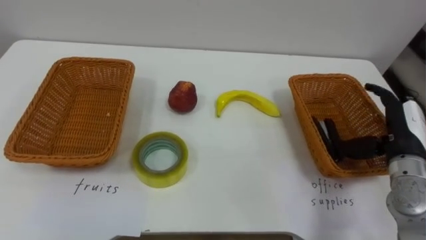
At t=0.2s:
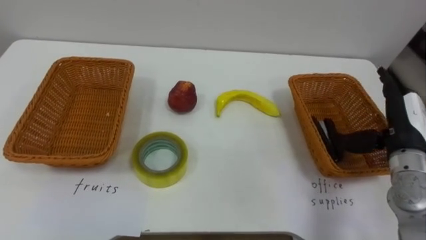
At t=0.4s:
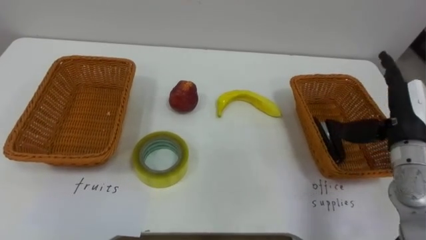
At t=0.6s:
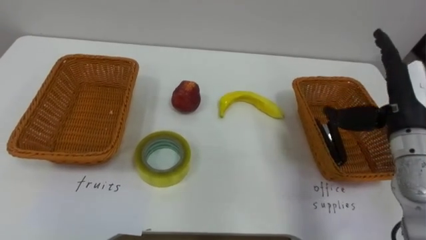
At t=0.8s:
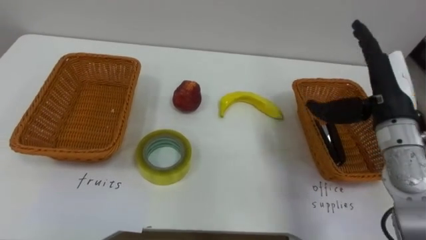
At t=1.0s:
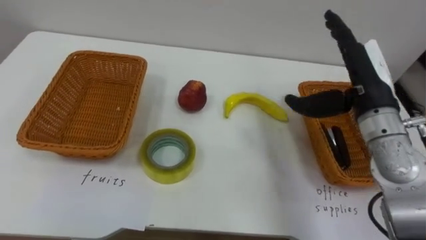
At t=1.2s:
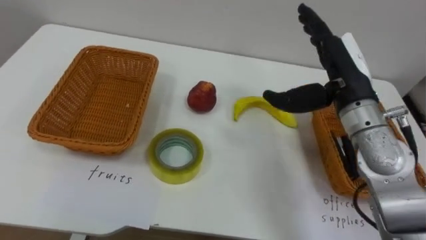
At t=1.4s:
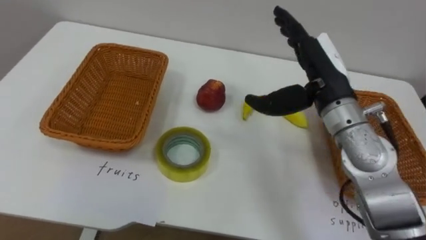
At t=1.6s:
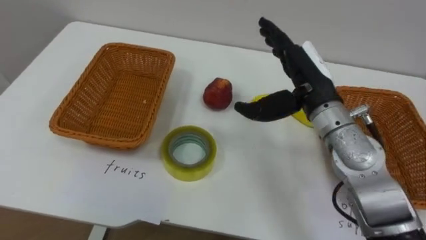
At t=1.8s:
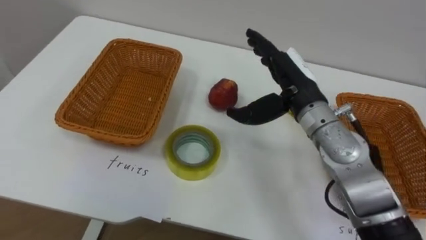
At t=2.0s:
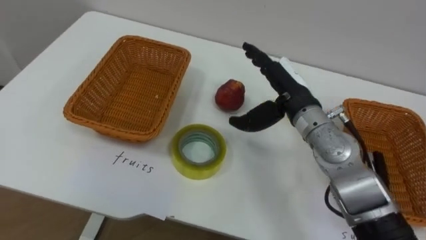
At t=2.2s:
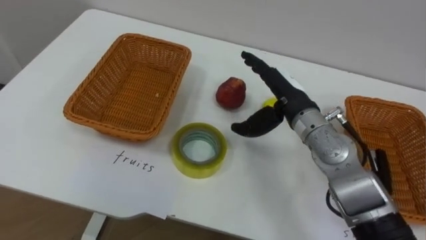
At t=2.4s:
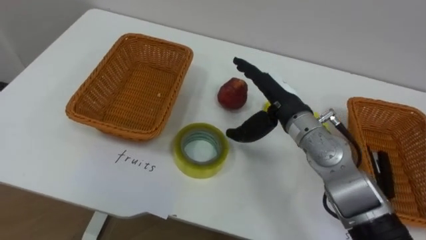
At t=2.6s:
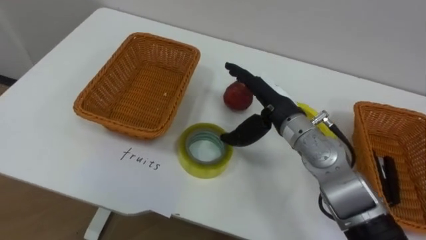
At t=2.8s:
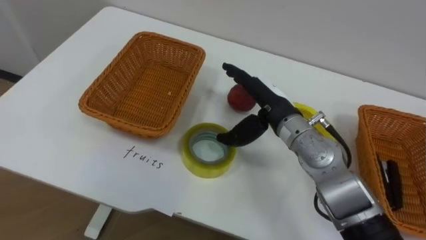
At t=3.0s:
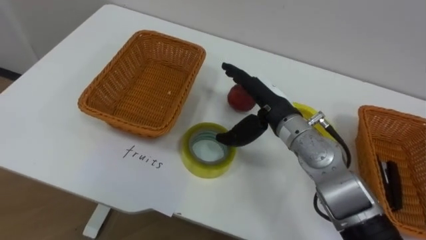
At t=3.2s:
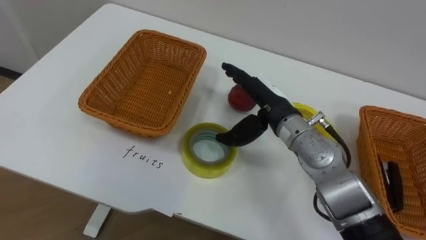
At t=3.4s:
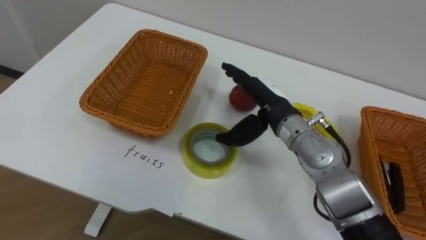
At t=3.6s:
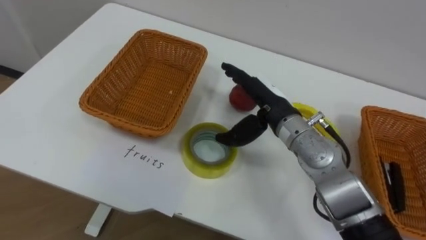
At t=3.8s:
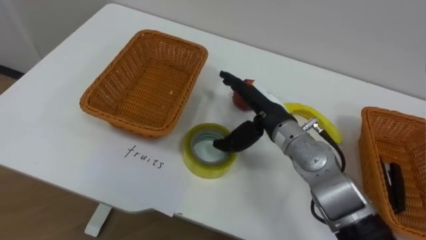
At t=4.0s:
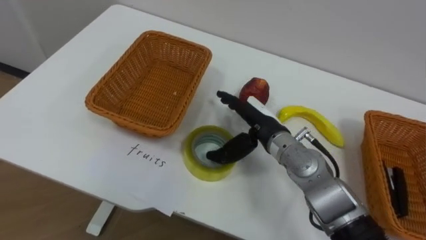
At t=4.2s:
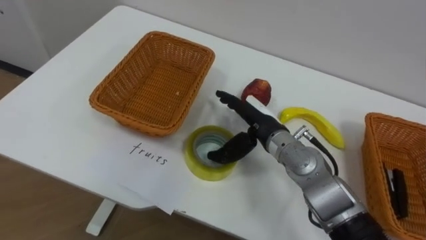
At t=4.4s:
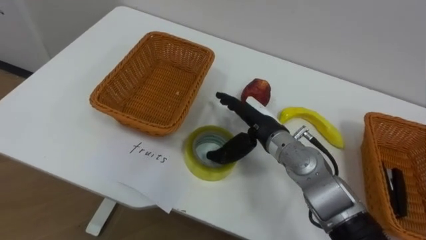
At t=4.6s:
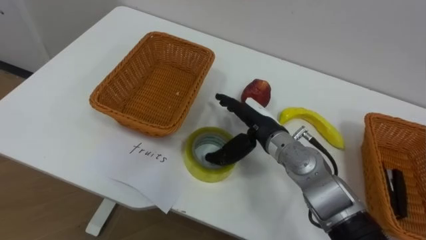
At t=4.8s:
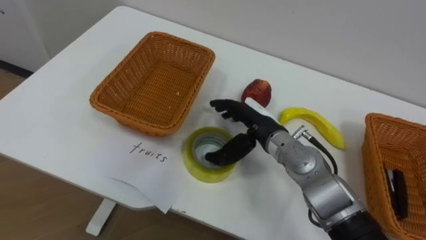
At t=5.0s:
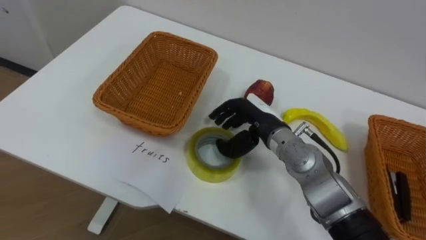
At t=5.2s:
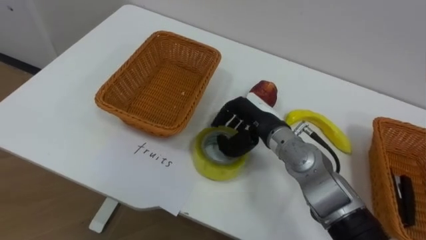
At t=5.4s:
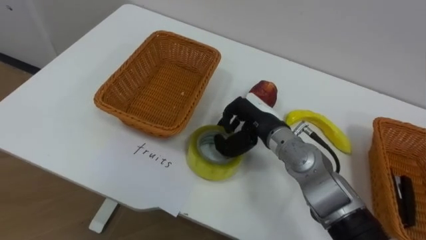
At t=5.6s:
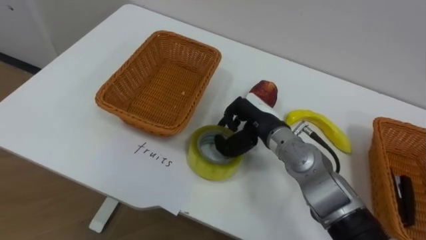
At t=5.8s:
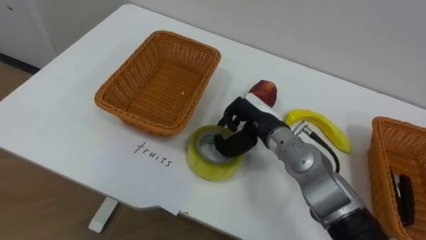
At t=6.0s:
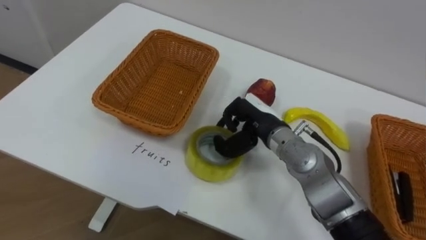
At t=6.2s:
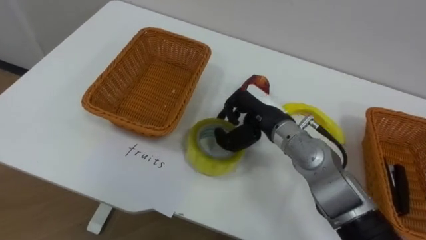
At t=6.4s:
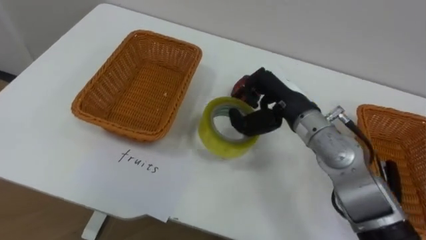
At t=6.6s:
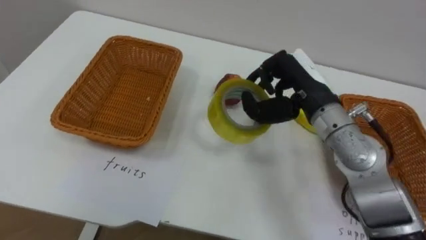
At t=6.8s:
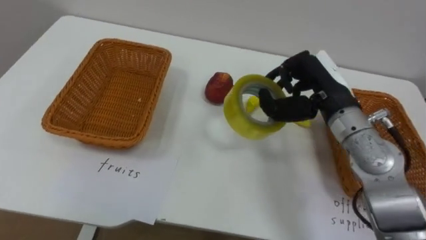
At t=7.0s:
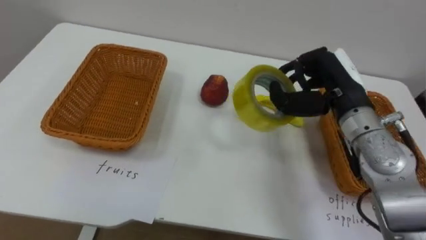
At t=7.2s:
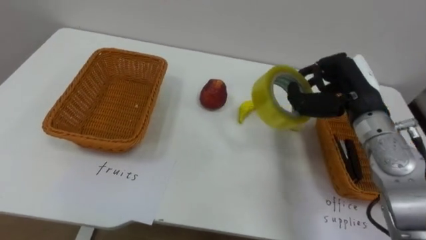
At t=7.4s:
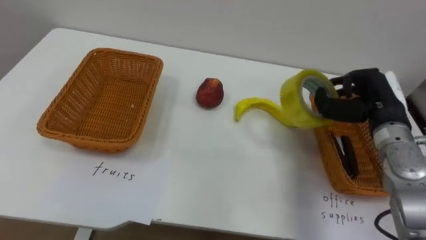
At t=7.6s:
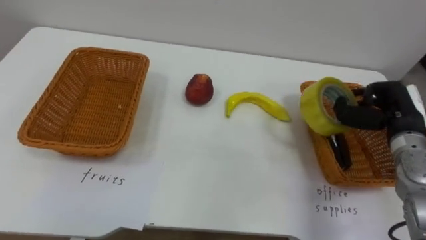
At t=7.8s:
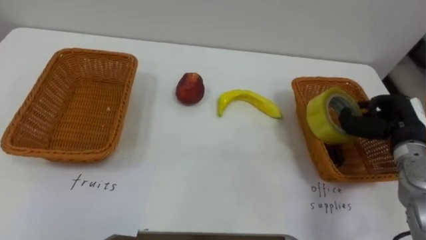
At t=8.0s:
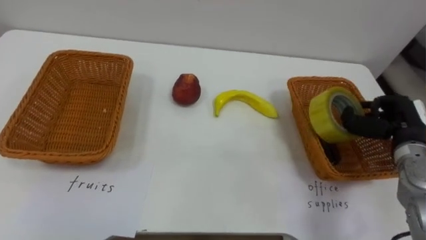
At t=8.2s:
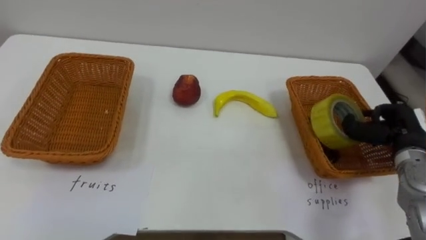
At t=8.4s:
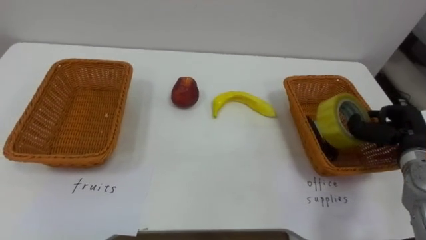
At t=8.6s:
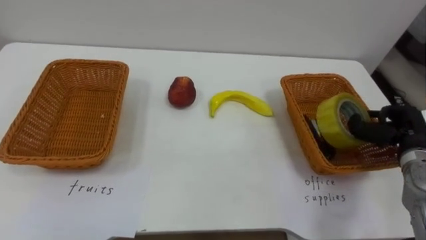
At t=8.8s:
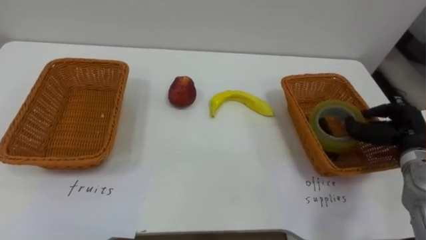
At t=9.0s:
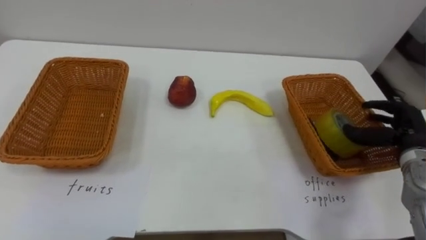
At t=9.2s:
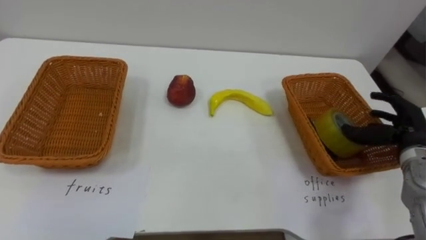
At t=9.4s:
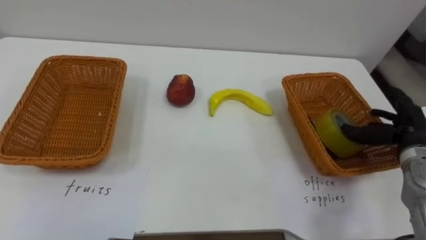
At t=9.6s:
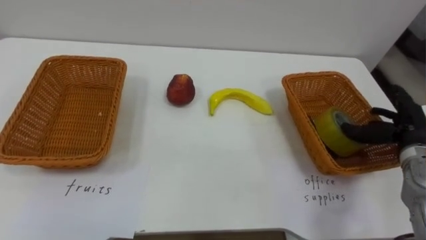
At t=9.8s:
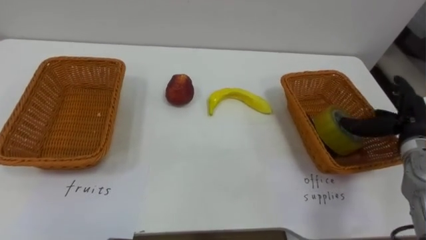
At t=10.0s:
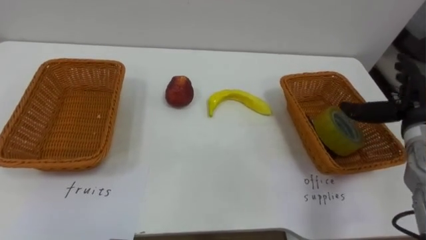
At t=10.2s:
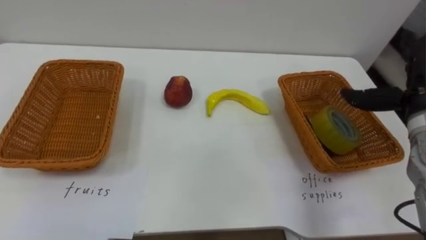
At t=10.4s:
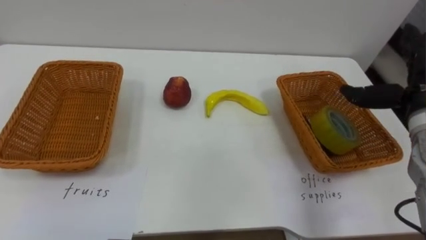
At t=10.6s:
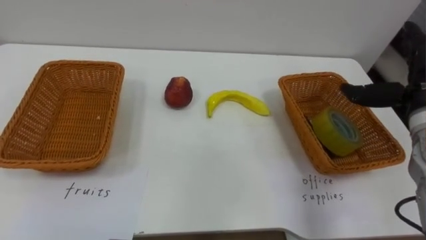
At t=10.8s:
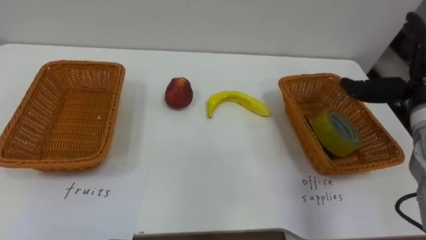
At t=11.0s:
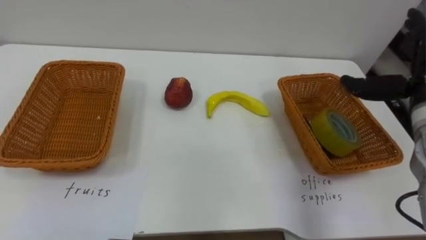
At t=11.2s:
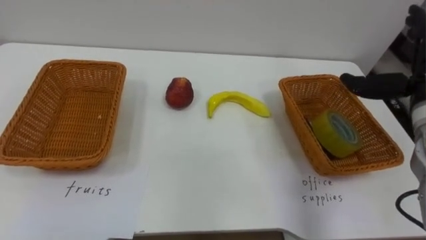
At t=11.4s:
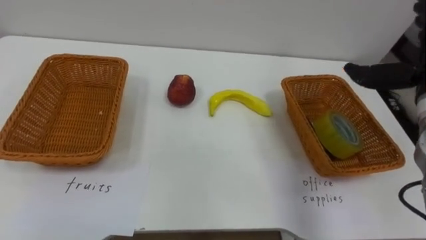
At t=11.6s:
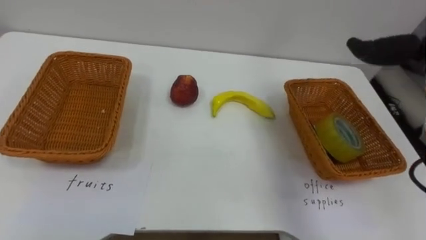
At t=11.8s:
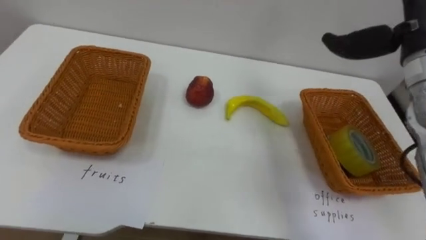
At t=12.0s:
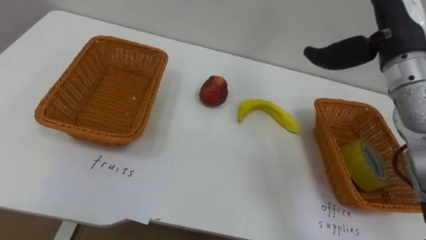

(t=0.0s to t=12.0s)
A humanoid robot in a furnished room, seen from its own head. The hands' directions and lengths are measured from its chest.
Task of the whole recording: Separate the items on the table and place them into the two baskets.
t=0.0s - t=1.6s: The right hand shifts approximately 20 cm to the left and upward.
t=1.6s - t=3.0s: The right hand moves downward and to the left, approximately 10 cm.
t=3.0s - t=4.4s: The right hand travels downward by some 5 cm.
t=4.4s - t=6.0s: The right hand closes.
t=6.0s - t=7.6s: The right hand moves to the right, approximately 25 cm.
t=7.6s - t=9.0s: The right hand moves roughly 5 cm, and opens.
t=9.0s - t=10.4s: The right hand moves upward, roughly 10 cm, and opens up.

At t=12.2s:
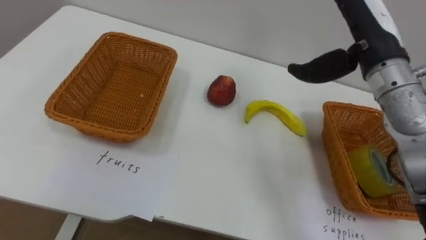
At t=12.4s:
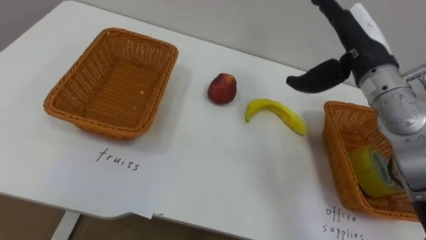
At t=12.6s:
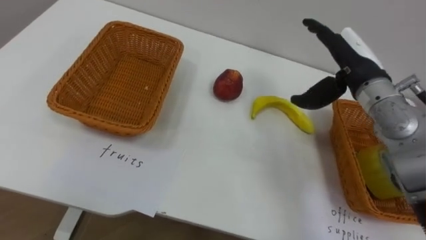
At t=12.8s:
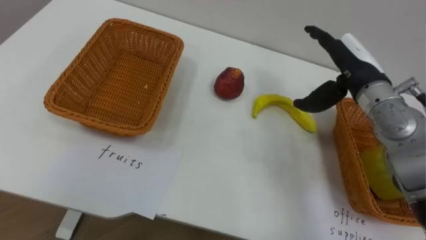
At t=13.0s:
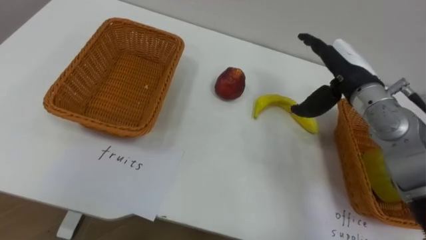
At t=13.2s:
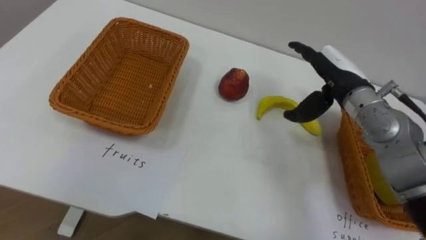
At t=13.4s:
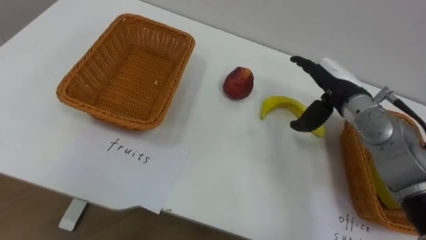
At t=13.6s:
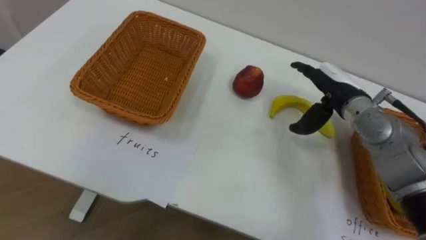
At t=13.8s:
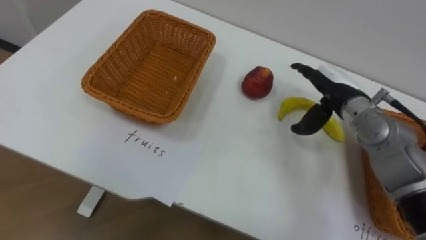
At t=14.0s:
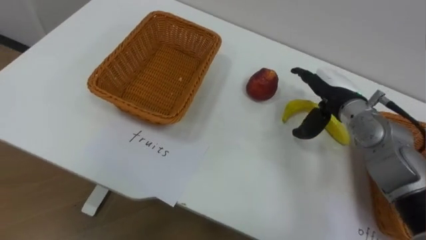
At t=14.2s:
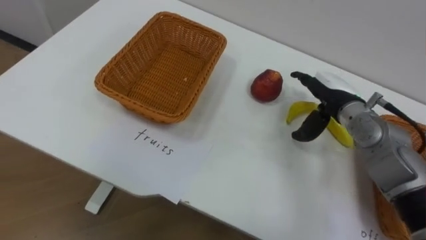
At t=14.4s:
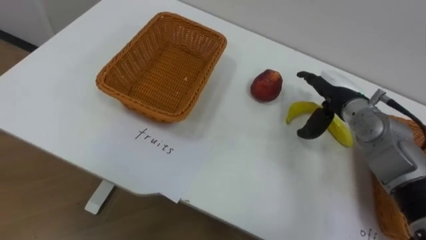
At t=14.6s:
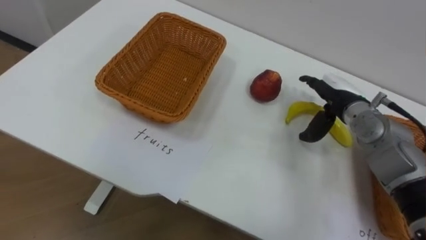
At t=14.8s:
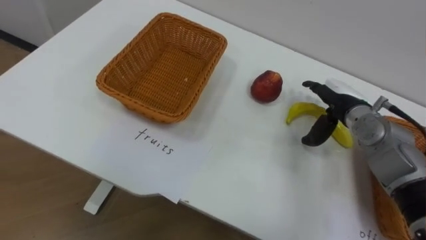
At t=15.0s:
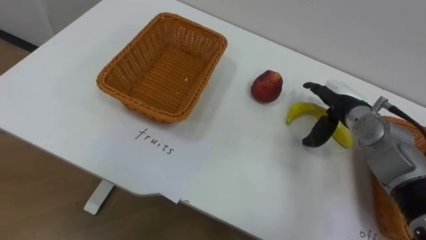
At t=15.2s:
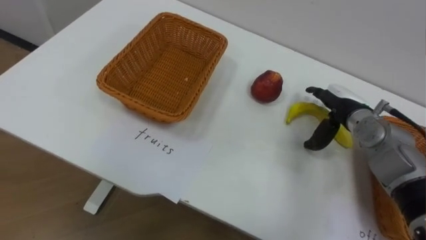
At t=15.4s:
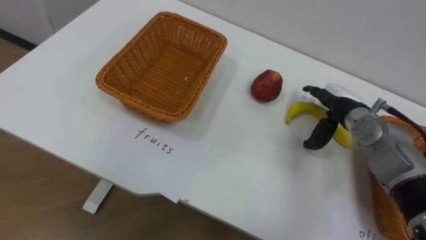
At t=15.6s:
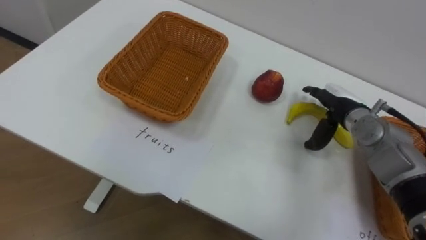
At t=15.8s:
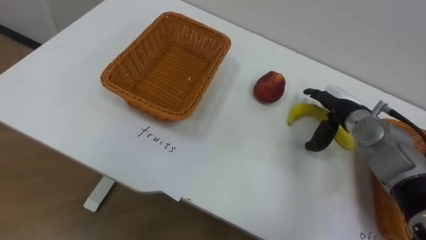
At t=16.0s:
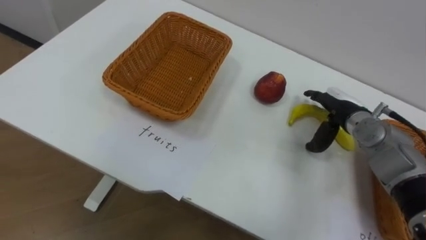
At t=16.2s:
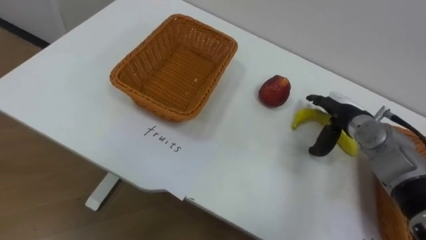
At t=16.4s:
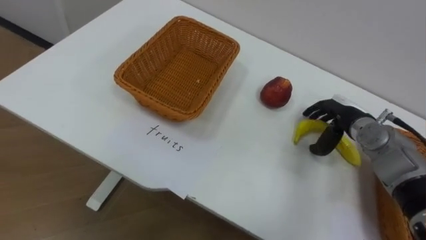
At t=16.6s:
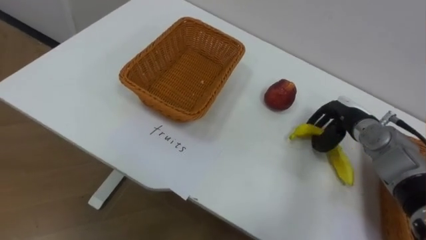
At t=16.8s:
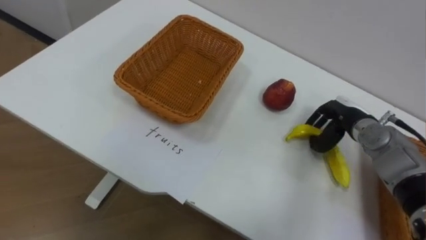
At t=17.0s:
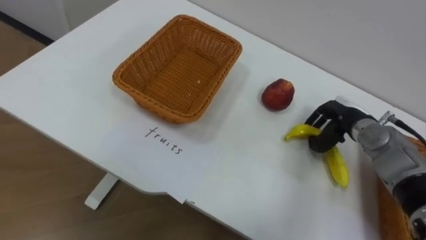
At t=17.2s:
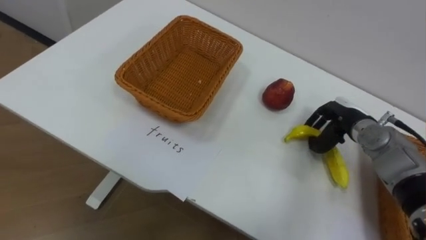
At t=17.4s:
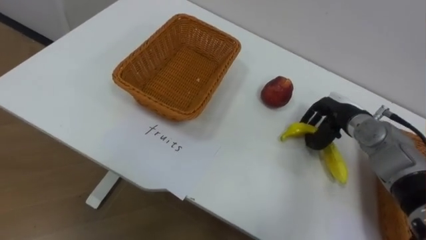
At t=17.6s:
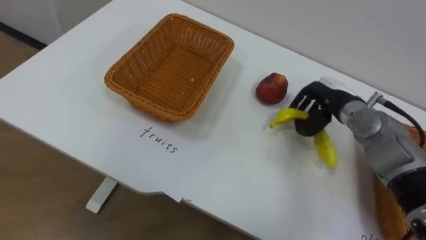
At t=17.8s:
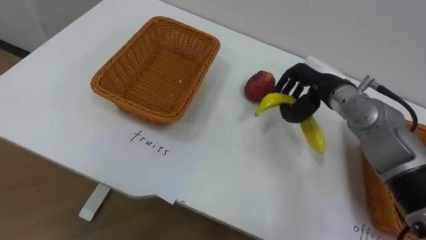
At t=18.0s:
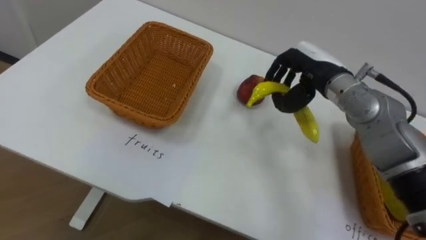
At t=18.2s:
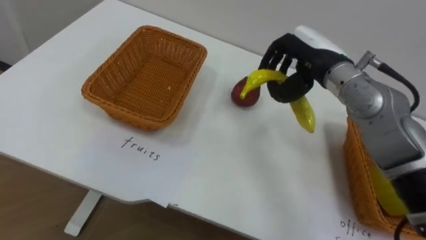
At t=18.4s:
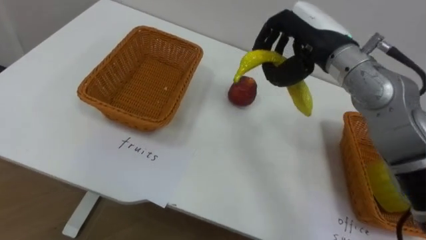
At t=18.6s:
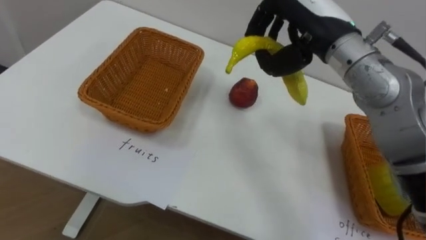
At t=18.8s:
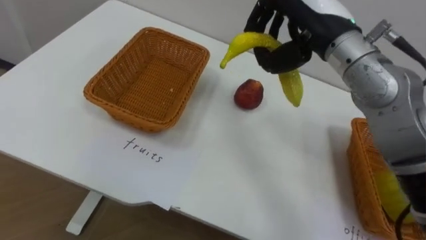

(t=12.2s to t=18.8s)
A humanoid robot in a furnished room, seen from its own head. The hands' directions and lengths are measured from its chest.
Task of the whole recording: Separate the items on the table and place them into the two baskets.
t=12.2s - t=13.8s: The right hand shifts about 15 cm downward.
t=13.8s - t=15.4s: The right hand changes place by roughly 5 cm.
t=15.4s - t=17.2s: The right hand closes up.
t=17.2s - t=18.8s: The right hand heads upward and to the left, covering about 25 cm.
